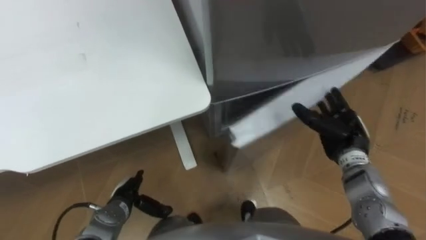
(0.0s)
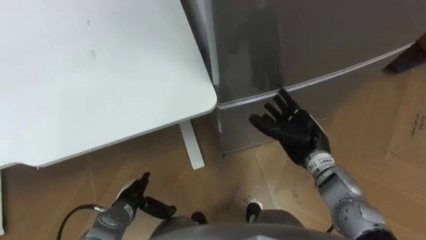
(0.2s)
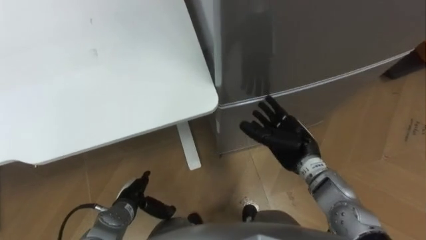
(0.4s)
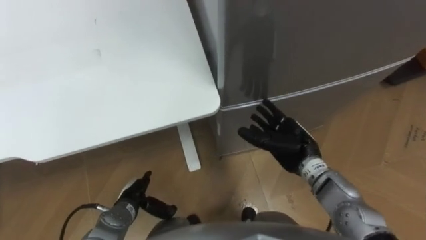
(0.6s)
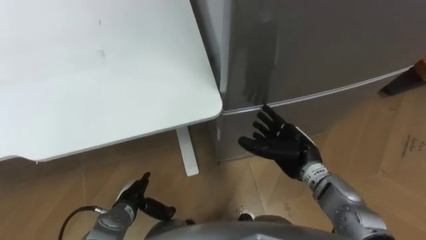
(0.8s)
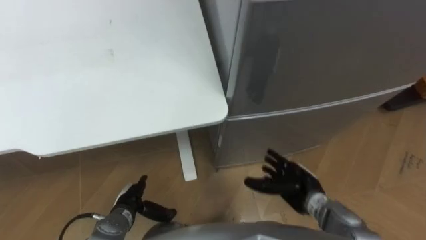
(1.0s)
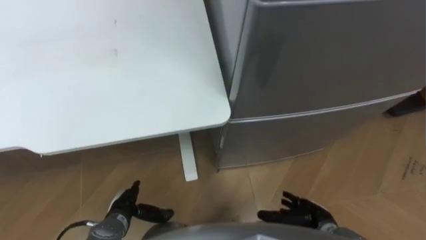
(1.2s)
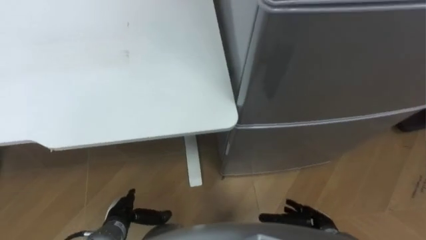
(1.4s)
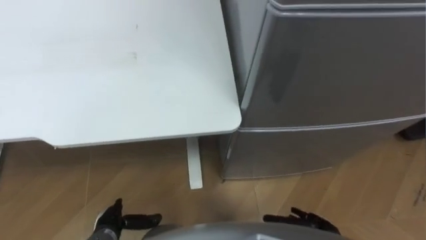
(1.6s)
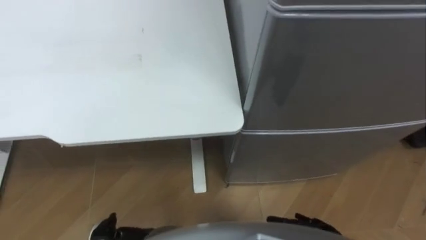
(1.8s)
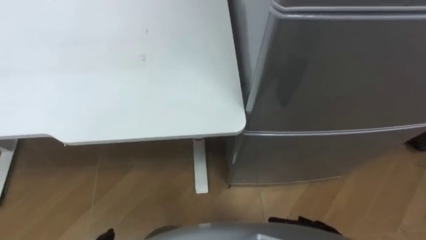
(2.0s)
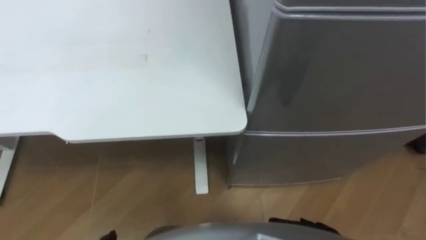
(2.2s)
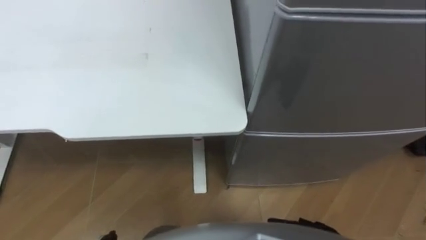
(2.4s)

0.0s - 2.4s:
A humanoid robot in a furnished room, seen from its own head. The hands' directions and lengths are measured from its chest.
Task of the whole recording: Place the drink on the table on the bottom shelf of the refrigerator, then close the drawer and the refrigerator door.
0.0s - 1.2s: The right hand moves backward, downward and to the left, roughly 20 cm.

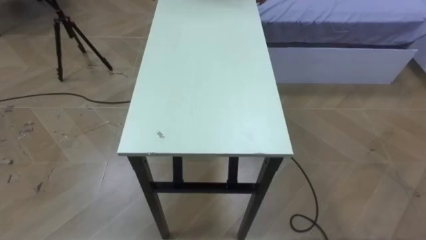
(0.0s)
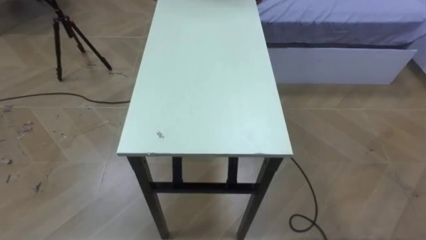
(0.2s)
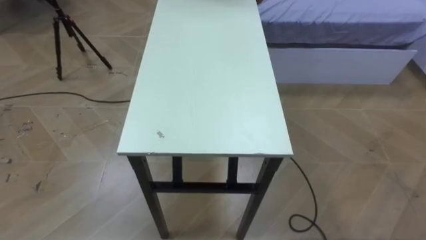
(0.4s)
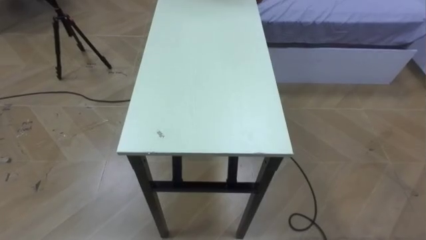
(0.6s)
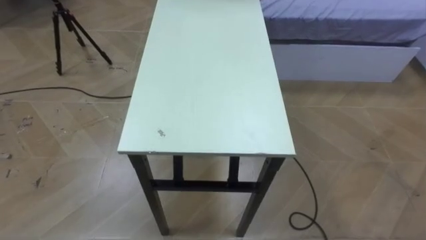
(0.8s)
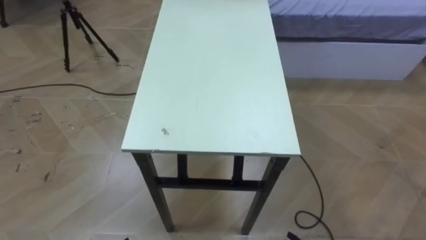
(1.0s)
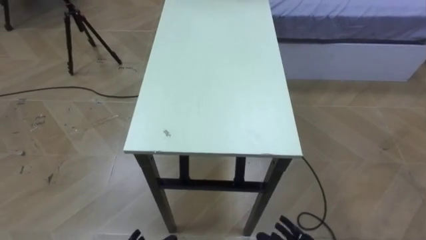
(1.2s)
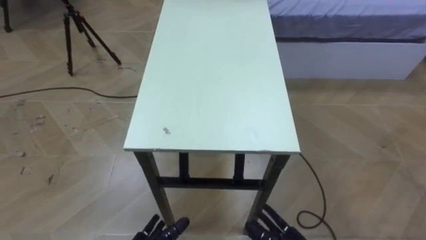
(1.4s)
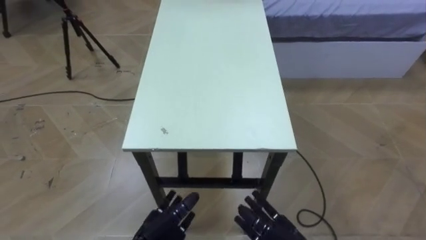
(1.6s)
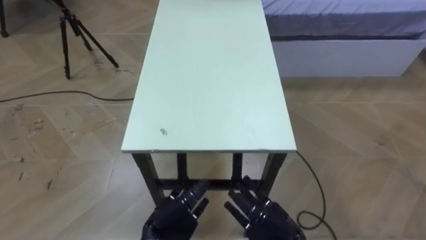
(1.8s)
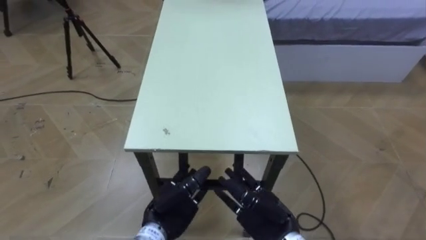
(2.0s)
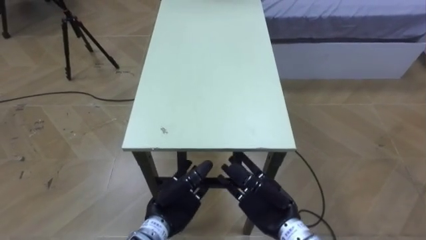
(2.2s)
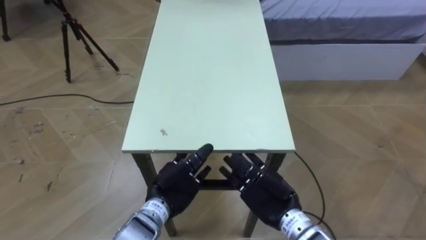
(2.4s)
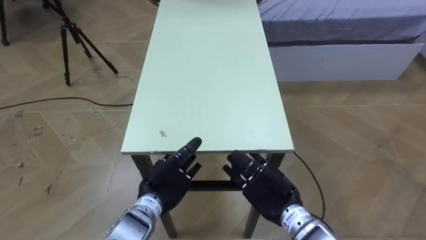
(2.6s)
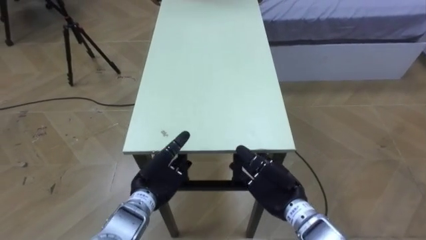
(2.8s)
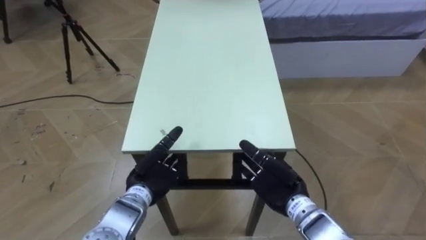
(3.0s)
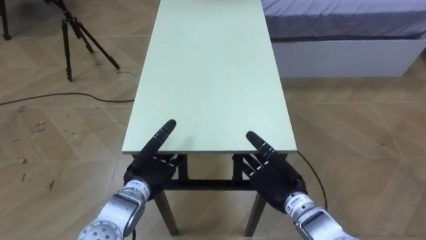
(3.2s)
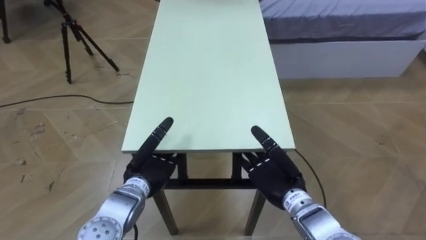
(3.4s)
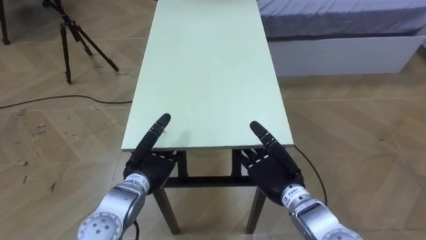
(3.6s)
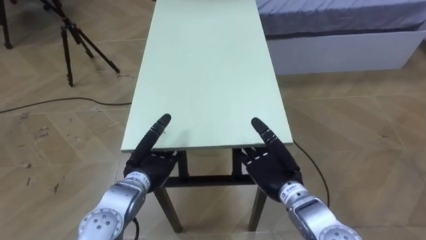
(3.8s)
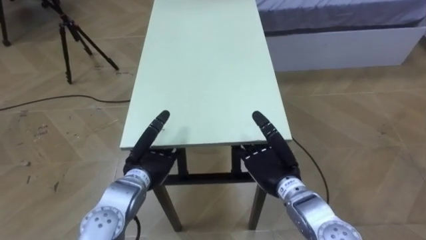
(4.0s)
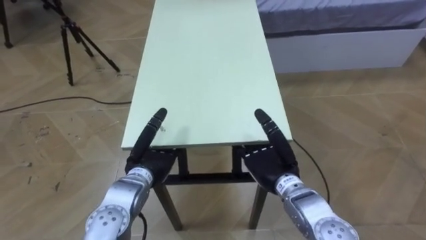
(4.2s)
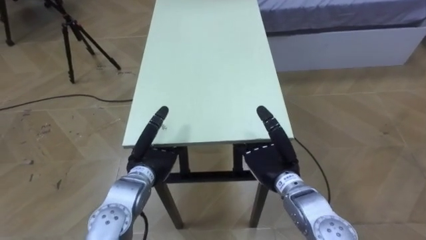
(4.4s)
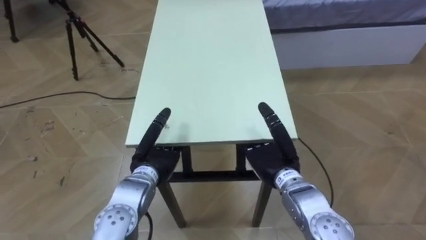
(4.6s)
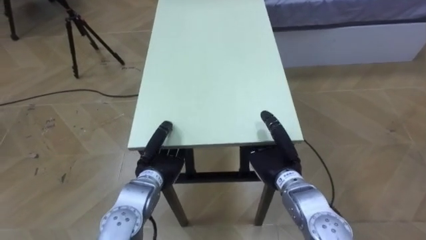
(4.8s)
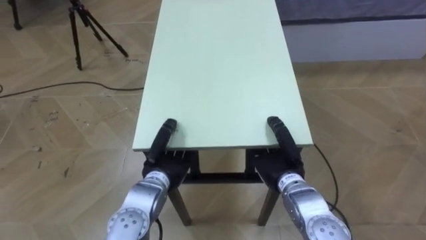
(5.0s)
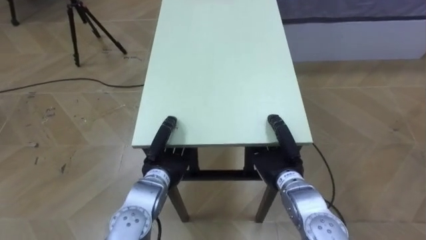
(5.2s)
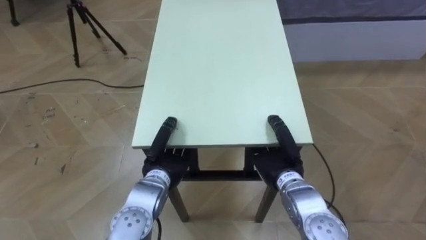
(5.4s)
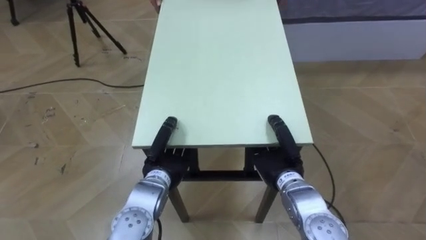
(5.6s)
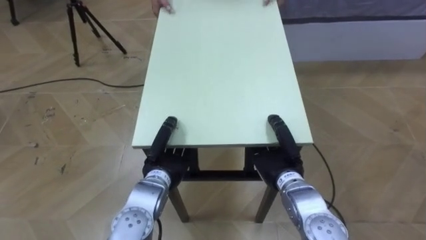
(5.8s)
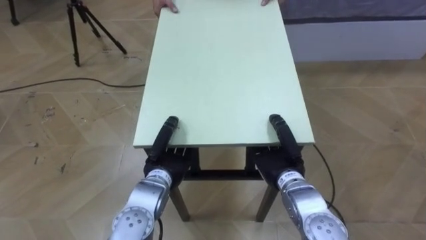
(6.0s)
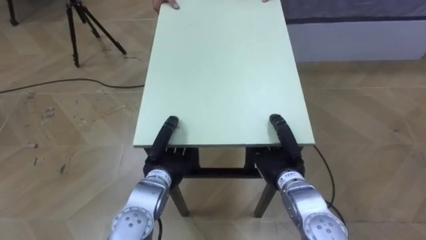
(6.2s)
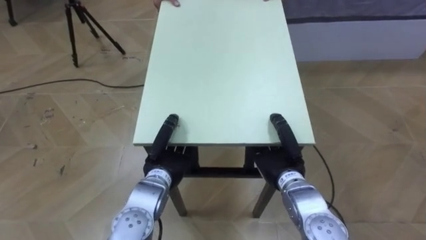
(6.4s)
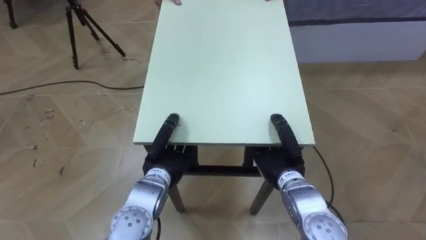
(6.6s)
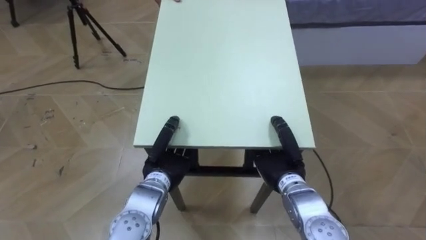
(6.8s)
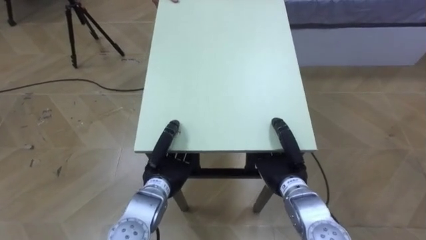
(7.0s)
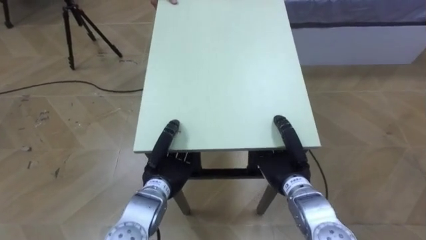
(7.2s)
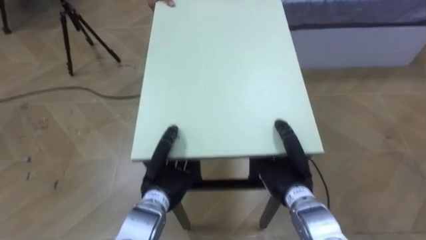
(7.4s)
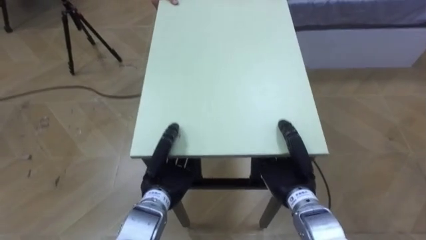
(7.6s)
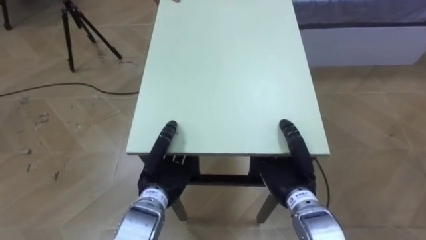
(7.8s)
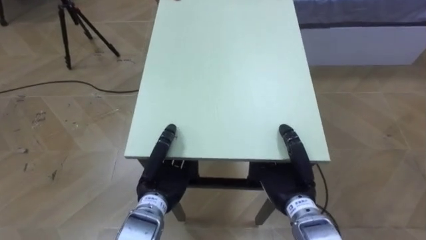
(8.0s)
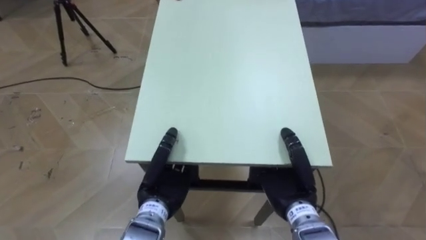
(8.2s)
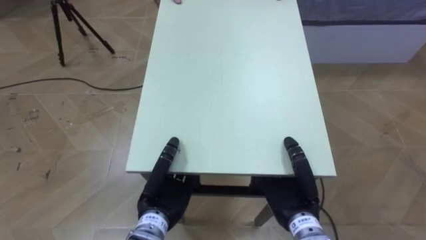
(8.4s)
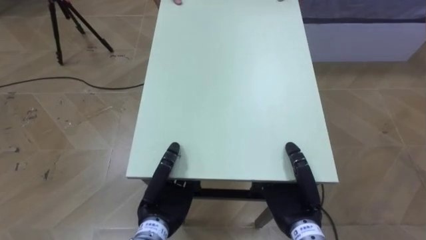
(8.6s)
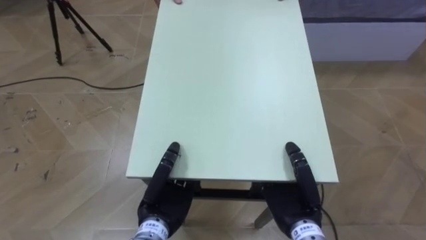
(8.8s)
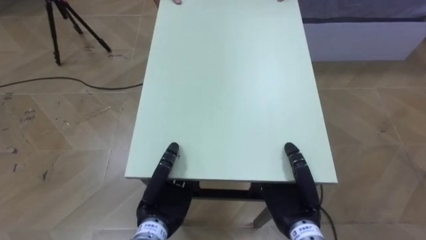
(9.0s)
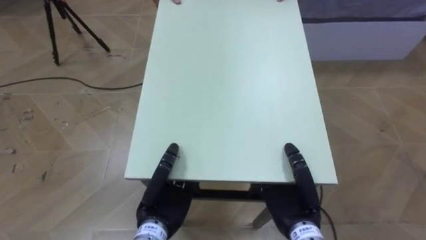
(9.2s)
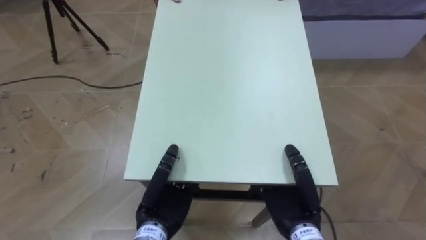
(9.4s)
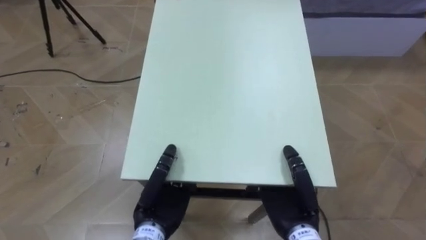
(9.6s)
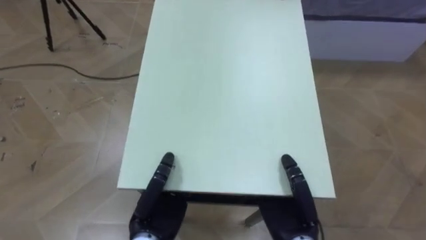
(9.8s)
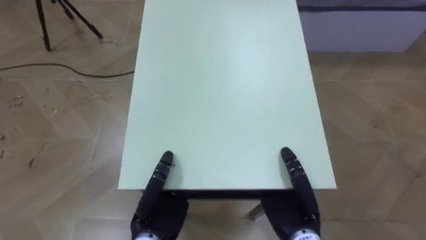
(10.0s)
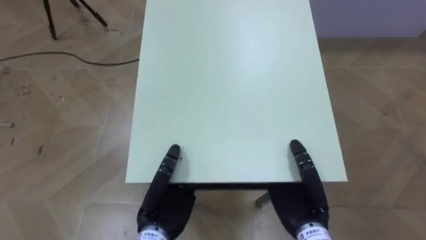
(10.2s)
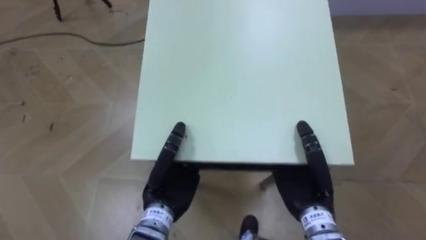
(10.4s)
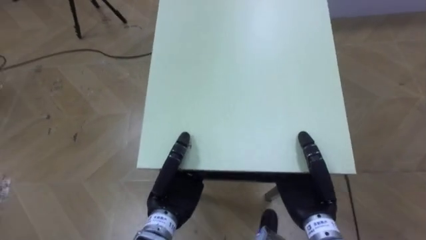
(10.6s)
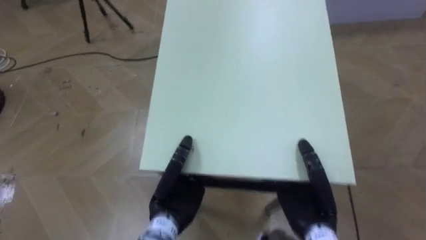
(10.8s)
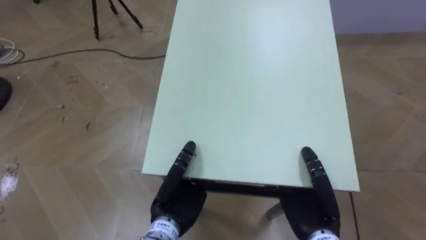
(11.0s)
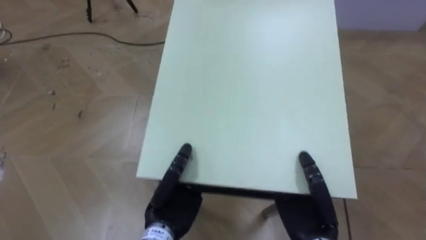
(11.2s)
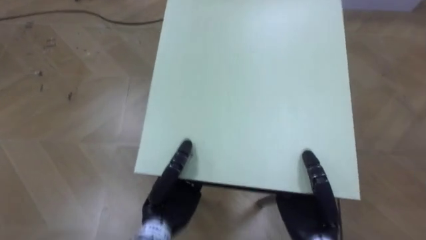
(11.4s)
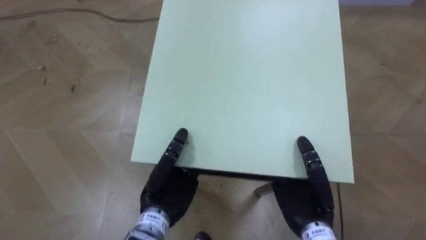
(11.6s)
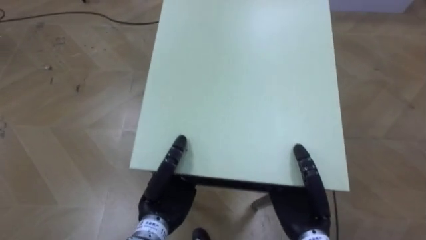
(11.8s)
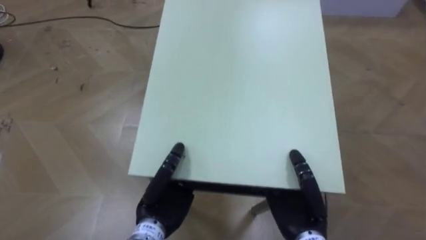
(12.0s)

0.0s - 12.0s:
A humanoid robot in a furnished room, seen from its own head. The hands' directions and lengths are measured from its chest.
Task of the whole recording: Move the table to the back left with someone.
1.6s - 3.0s: The left hand is displaced forward and upward by some 10 cm.
4.4s - 6.0s: The left hand closes its fingers, while the right hand closes up.
7.6s - 9.0s: The right hand shifts roughly 5 cm backward.

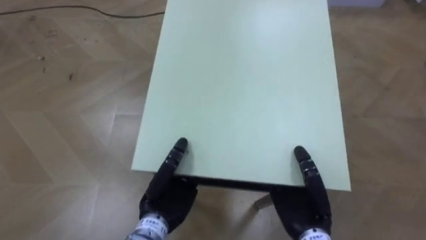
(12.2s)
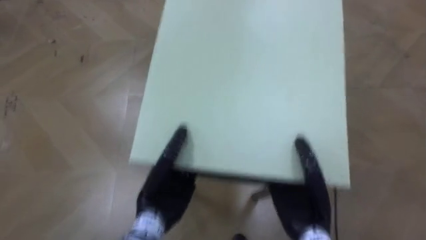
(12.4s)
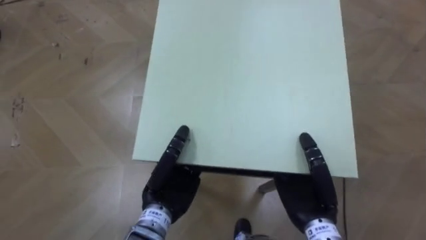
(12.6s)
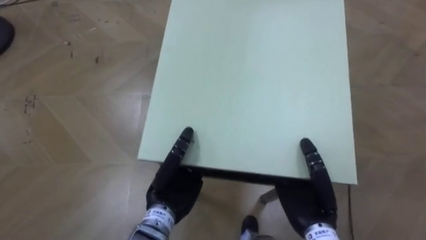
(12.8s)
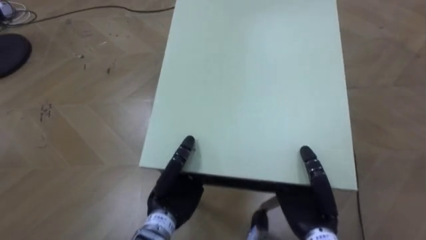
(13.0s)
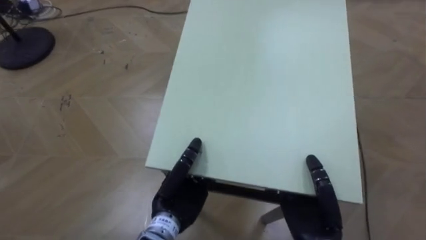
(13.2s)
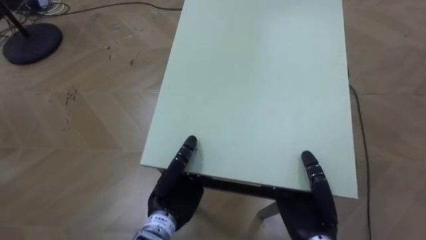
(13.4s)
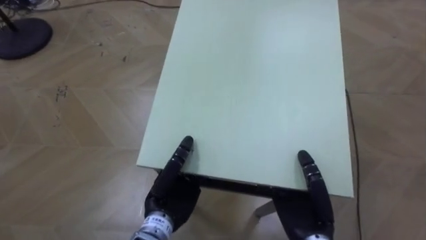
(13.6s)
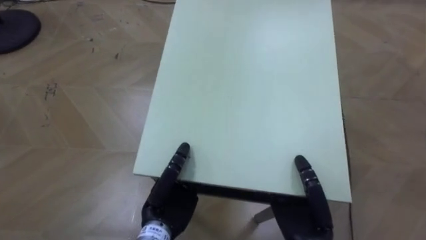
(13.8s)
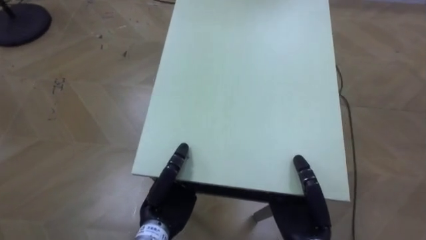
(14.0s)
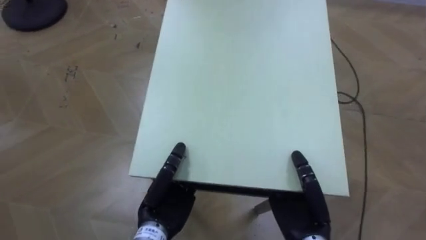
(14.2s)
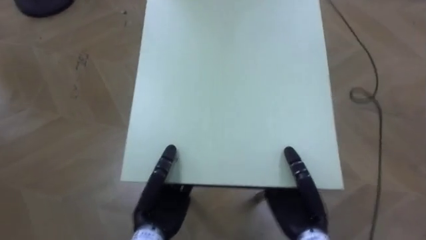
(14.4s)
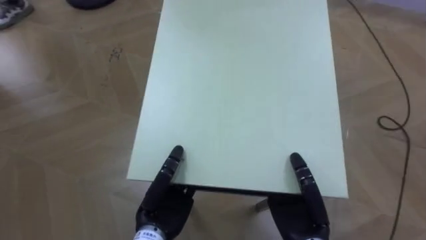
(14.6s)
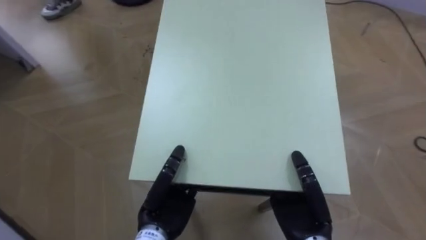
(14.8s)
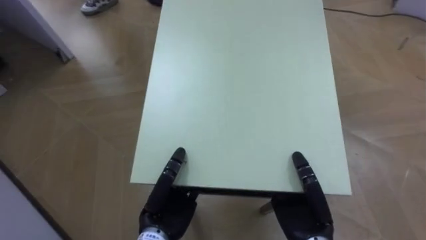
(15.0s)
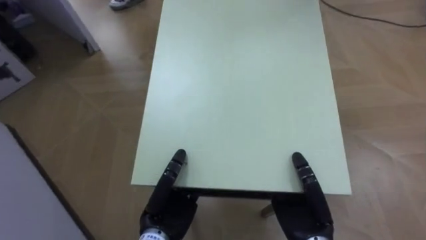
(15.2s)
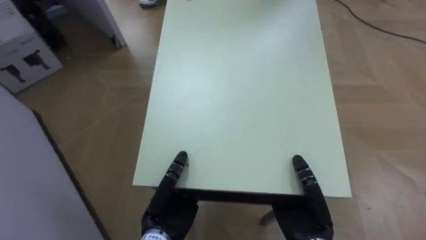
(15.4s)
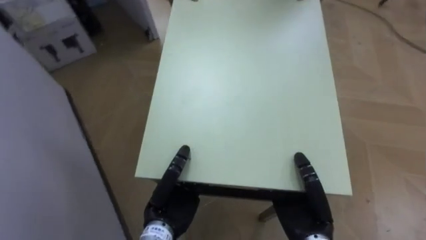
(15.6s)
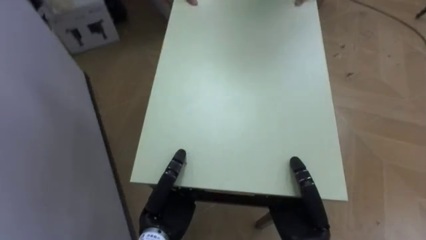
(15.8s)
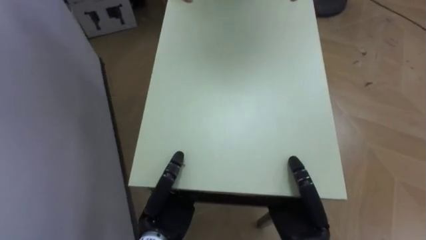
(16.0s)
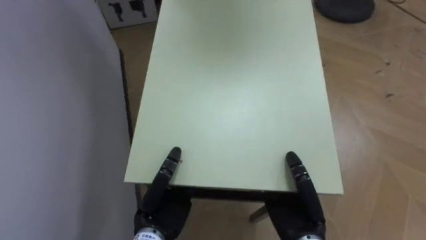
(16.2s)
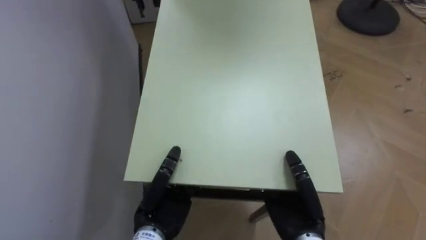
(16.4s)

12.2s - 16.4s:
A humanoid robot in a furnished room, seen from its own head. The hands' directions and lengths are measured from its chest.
Task of the whole recording: Move the table to the back left with someone.
13.6s - 15.0s: The robot turns to its left by some 30 degrees.
15.0s - 16.4s: The robot turns to its left by approximately 40 degrees.
